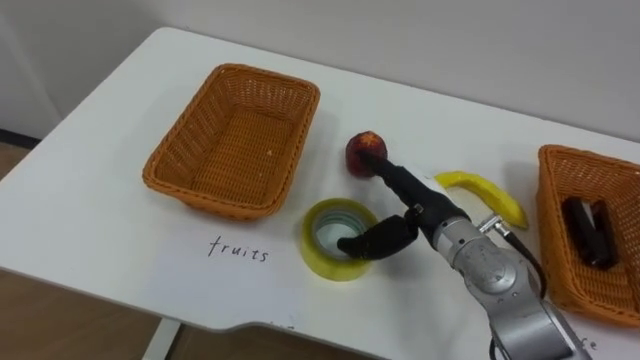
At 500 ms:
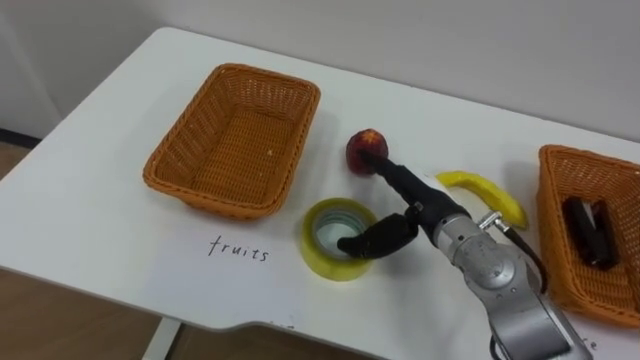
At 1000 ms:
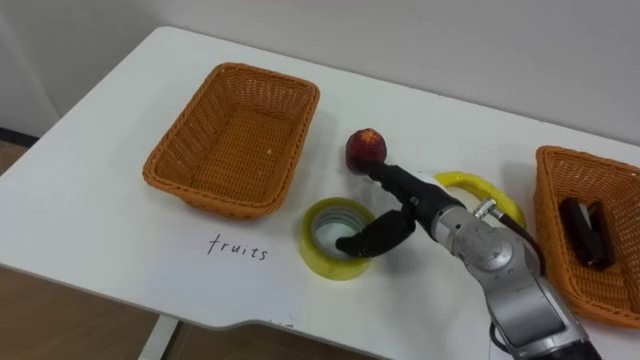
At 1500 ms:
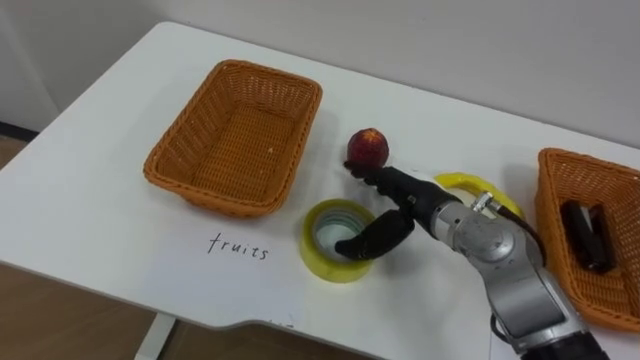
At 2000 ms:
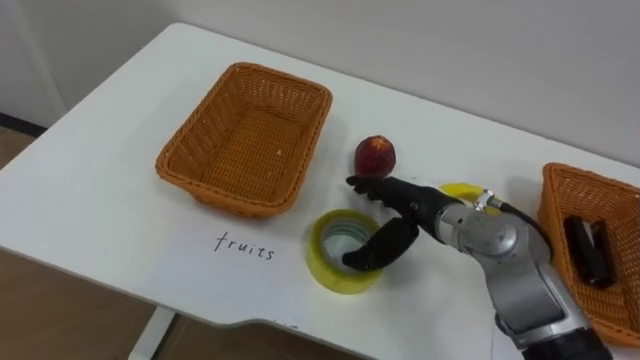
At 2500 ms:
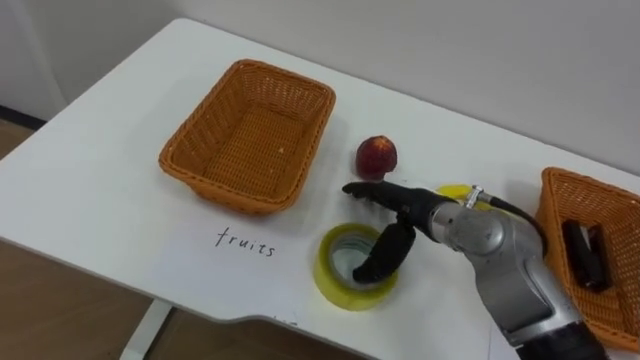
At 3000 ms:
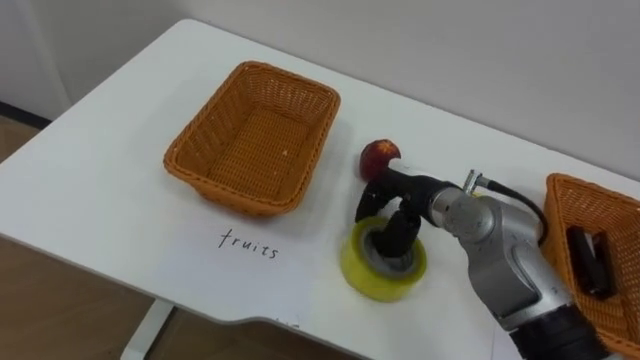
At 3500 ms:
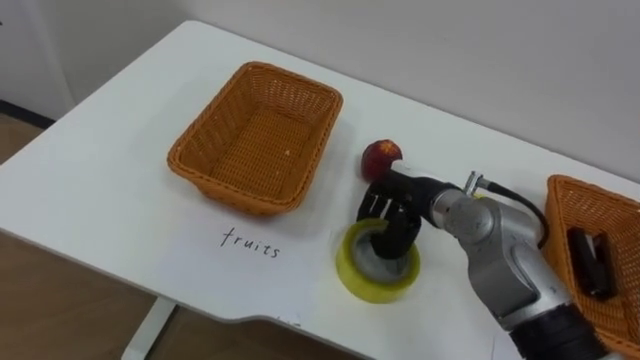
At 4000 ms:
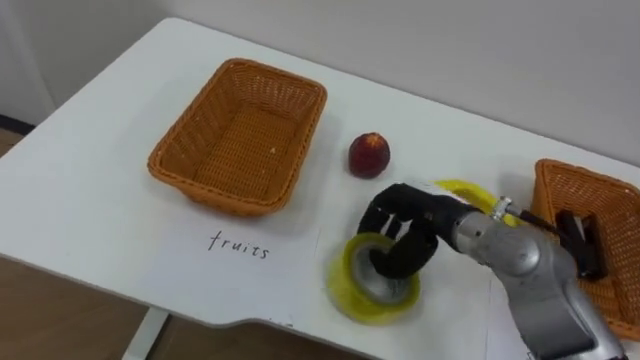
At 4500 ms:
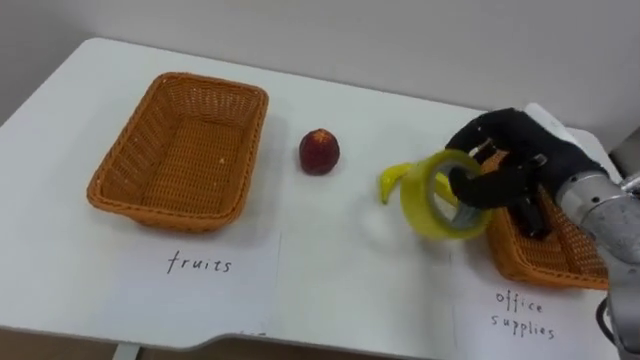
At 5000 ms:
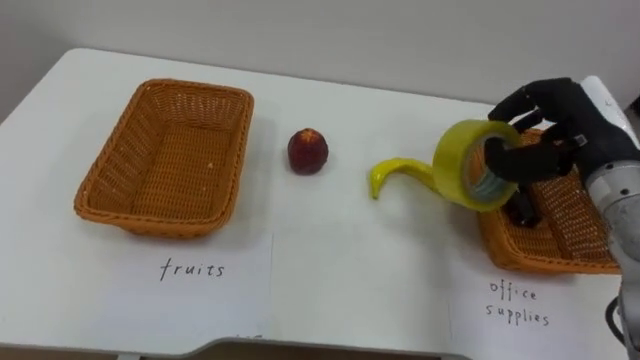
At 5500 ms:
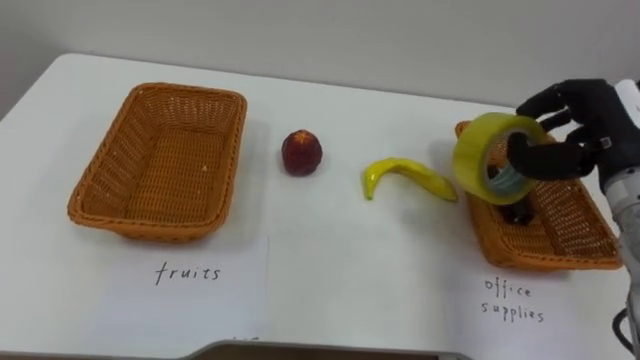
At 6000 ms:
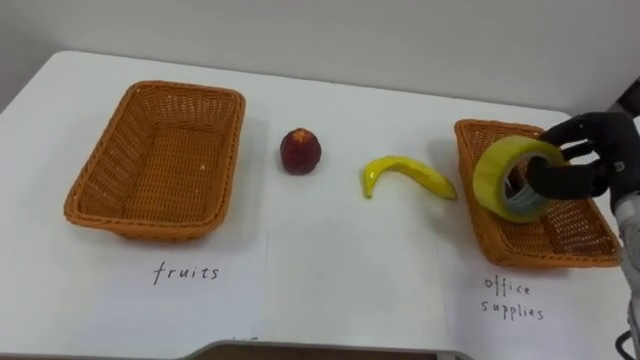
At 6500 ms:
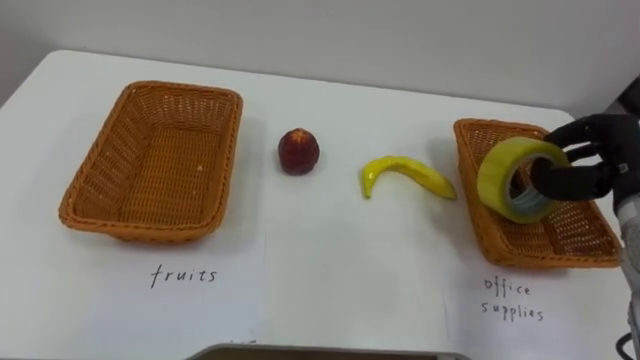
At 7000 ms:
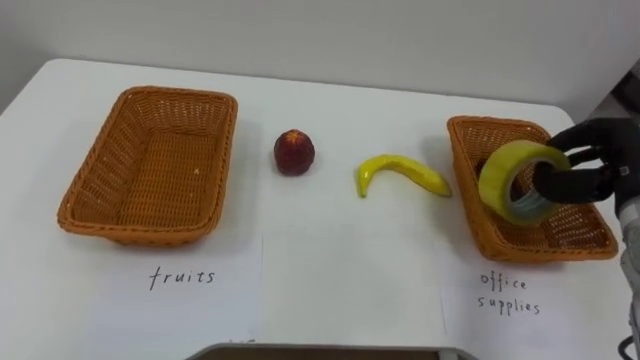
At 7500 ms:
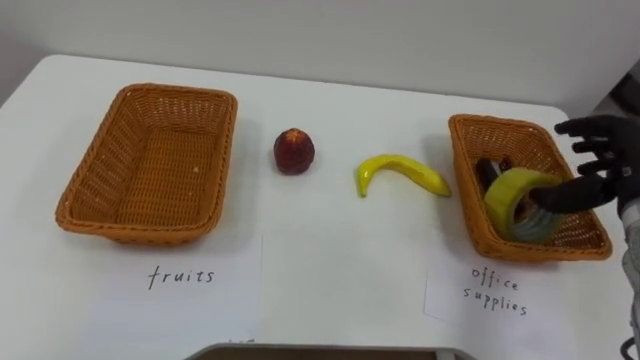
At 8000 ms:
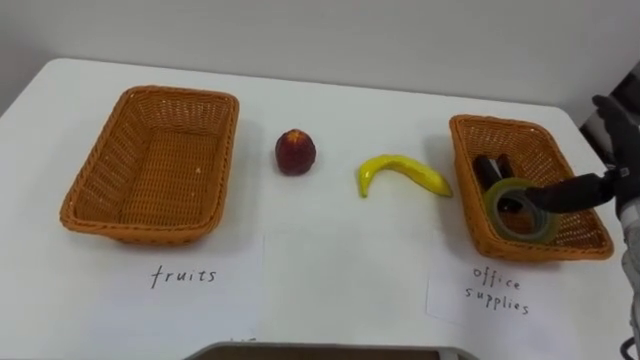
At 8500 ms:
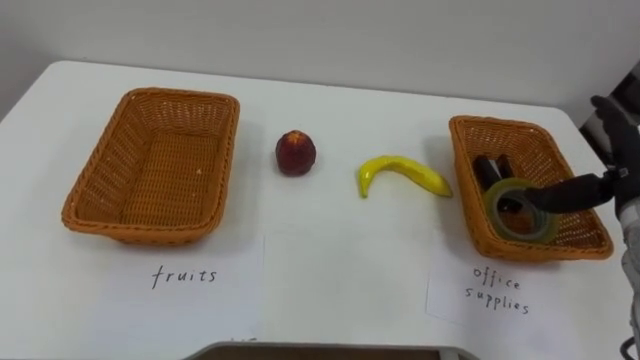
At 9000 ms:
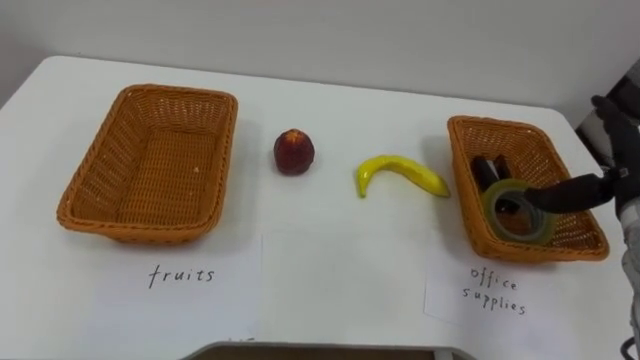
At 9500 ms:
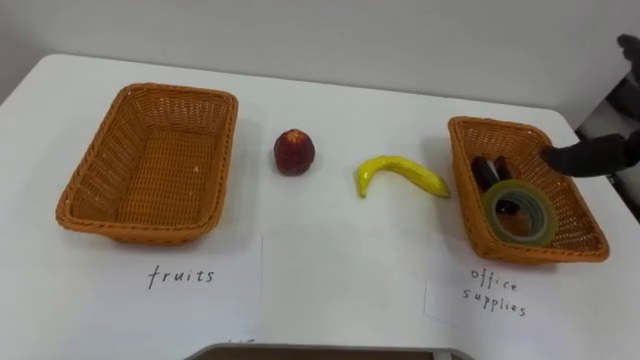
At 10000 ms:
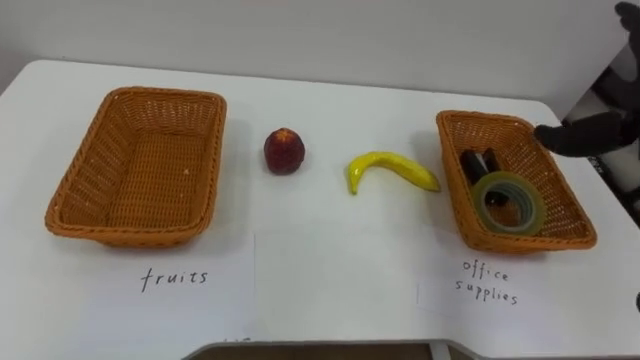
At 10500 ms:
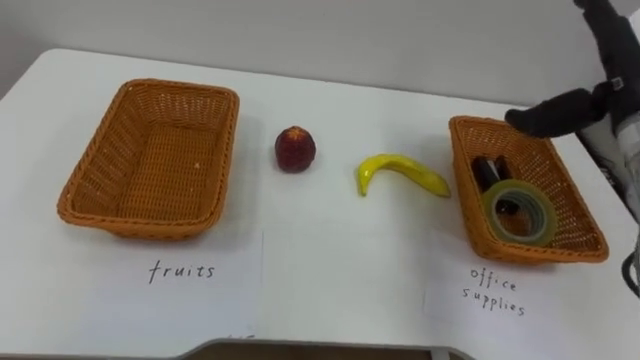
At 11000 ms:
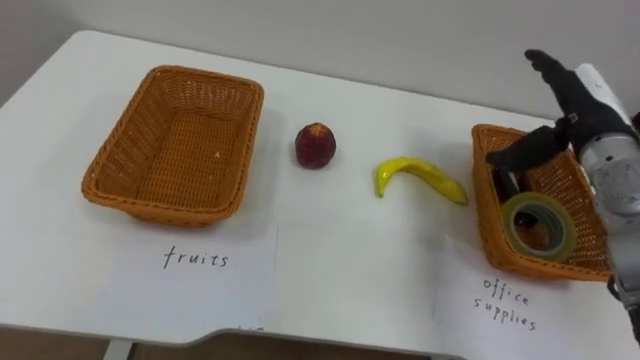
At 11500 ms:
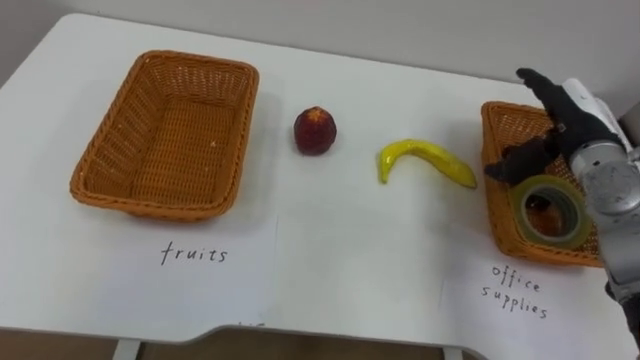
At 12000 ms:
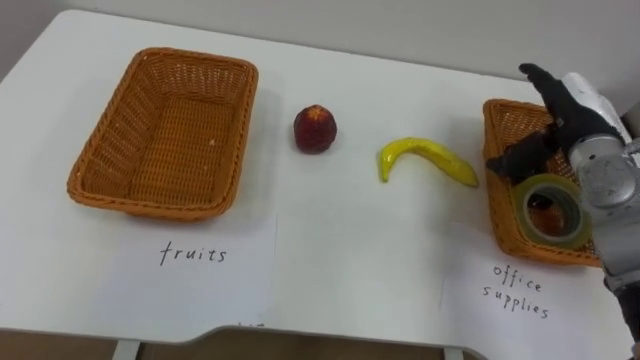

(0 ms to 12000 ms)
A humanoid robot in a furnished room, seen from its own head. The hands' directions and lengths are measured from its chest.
Task of the whole recording: Separate the items on the table and place them into the two baskets.
2000 ms - 4000 ms: The right hand closes its fingers.
4000 ms - 6000 ms: The right hand travels to the right by about 20 cm.
6000 ms - 8000 ms: The right hand opens.

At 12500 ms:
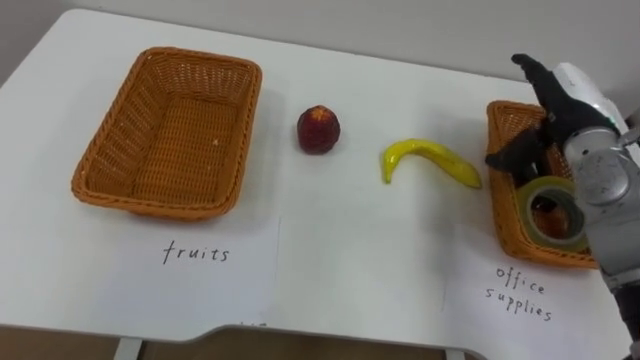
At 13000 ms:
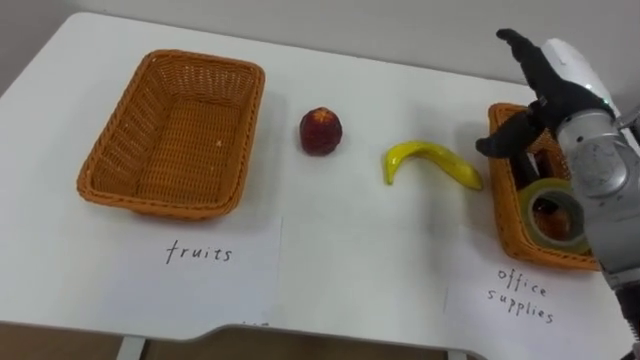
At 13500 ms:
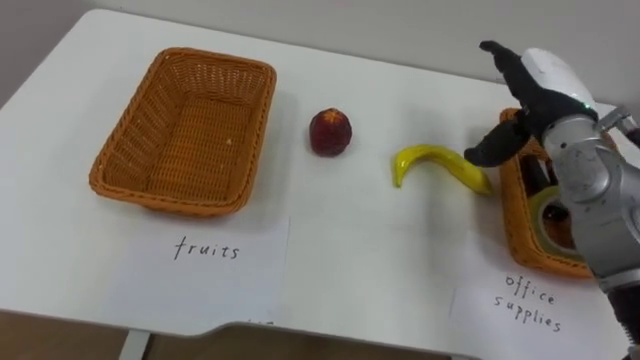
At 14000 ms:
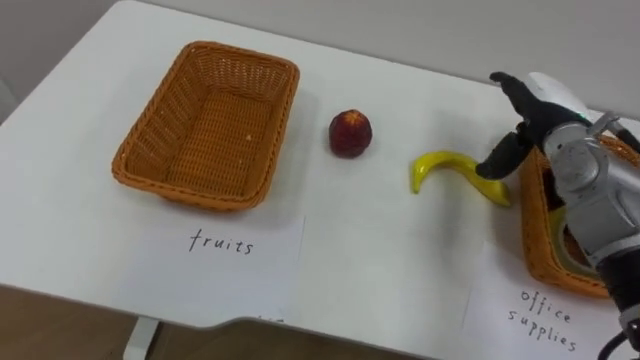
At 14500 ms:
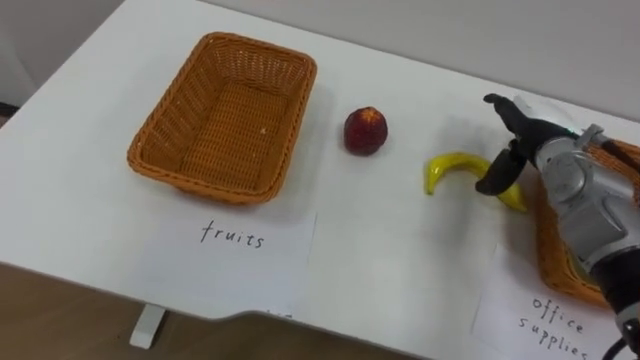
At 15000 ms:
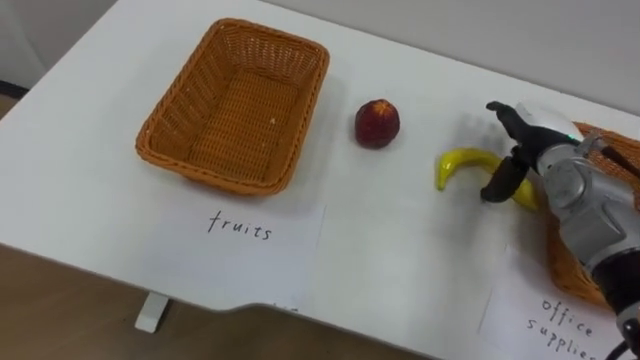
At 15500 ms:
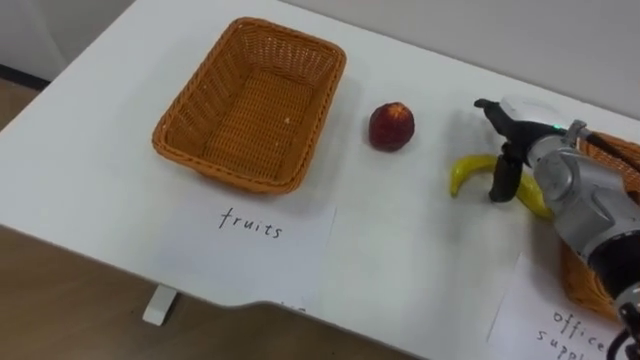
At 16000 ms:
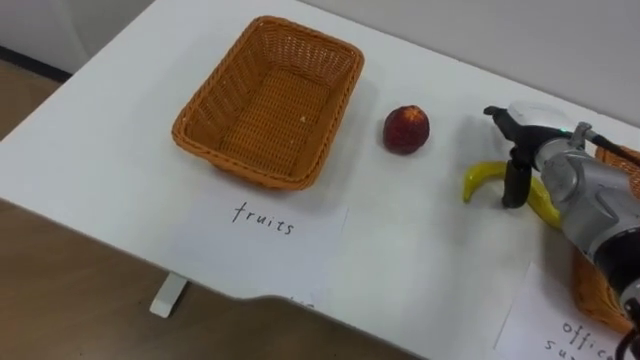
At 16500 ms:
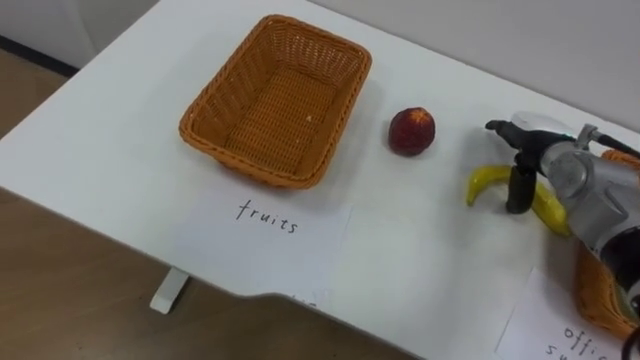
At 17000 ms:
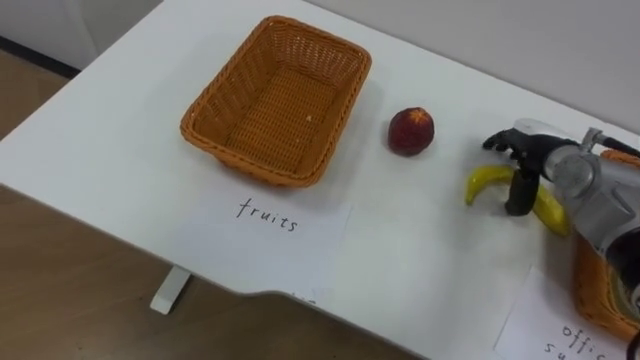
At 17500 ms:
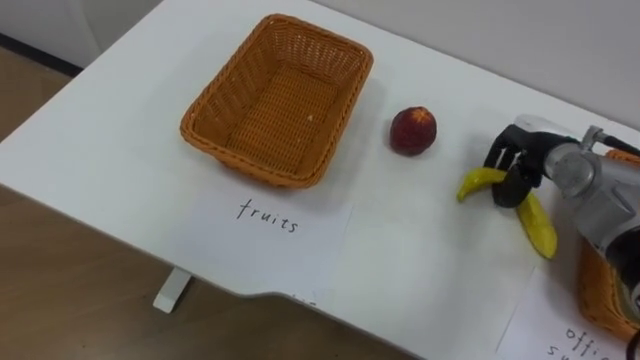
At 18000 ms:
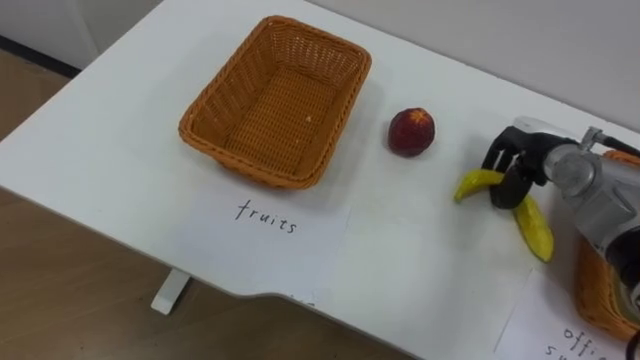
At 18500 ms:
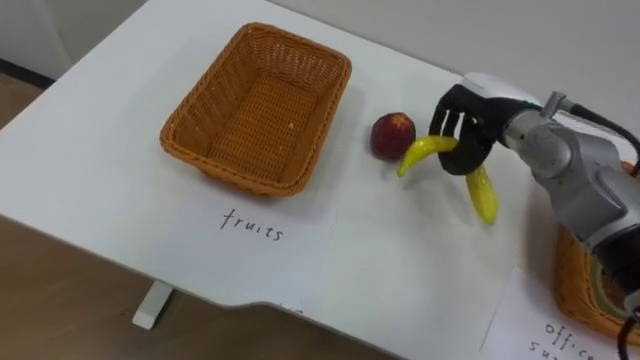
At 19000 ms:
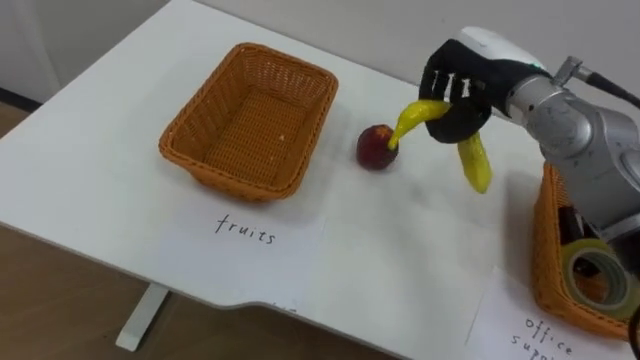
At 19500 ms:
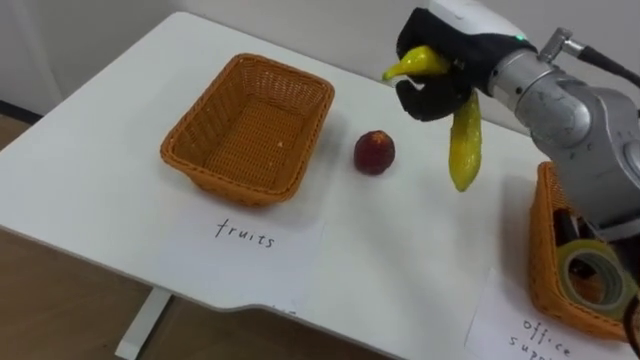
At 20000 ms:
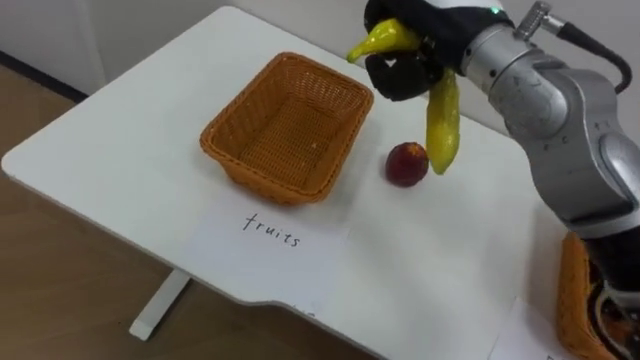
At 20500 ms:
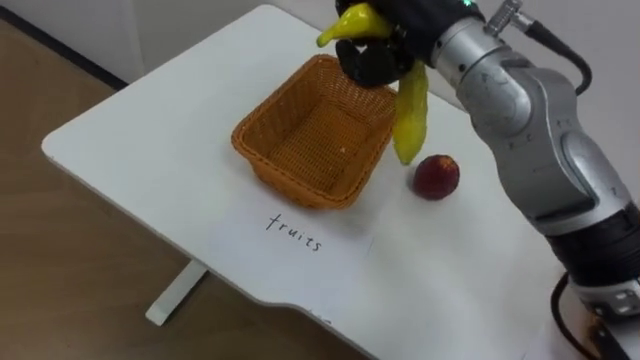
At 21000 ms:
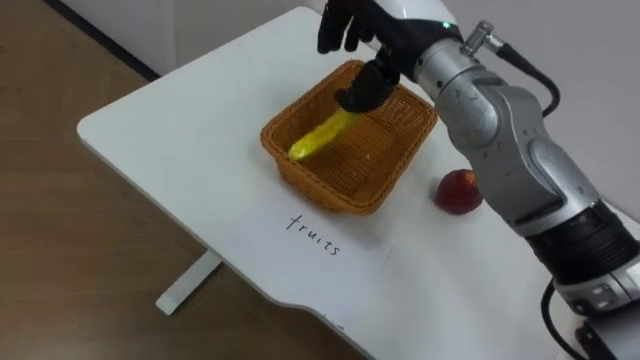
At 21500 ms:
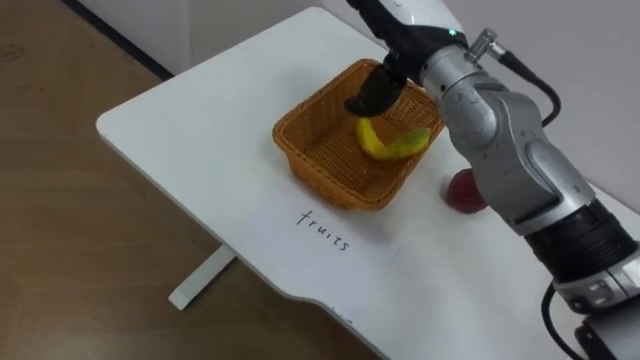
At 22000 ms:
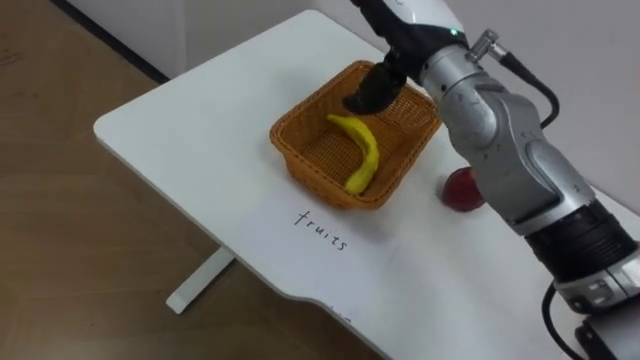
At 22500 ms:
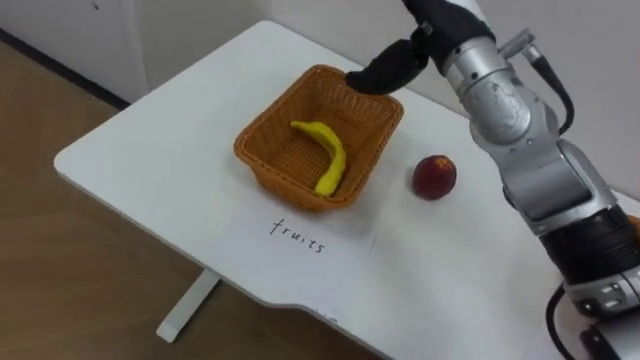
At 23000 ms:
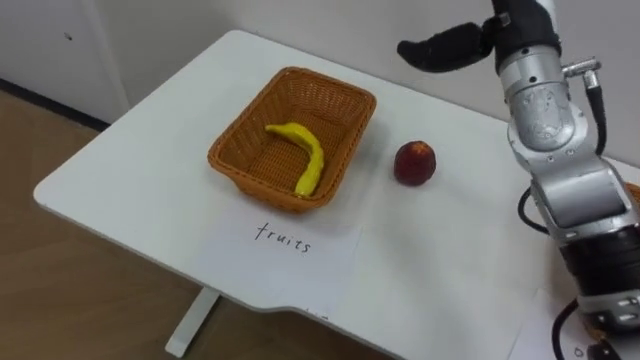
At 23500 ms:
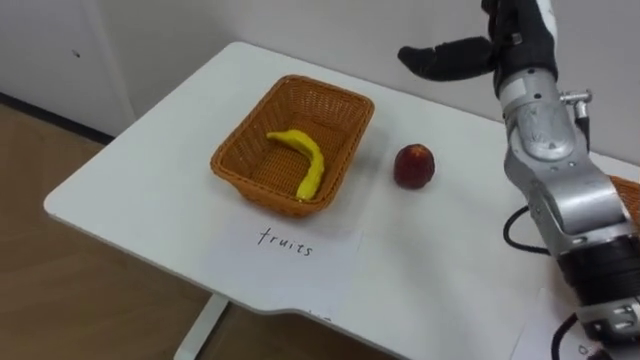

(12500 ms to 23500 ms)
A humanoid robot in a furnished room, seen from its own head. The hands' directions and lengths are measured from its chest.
Task of the whole recording: Separate the items on the table and place them into the two baskets.
12500 ms - 14500 ms: The right hand shifts by about 5 cm.
16000 ms - 18000 ms: The right hand closes.
18000 ms - 20000 ms: The right hand travels upward and to the left by some 25 cm.
20000 ms - 21500 ms: The right hand opens its fingers.
21500 ms - 23500 ms: The right hand is displaced to the right by approximately 10 cm.
